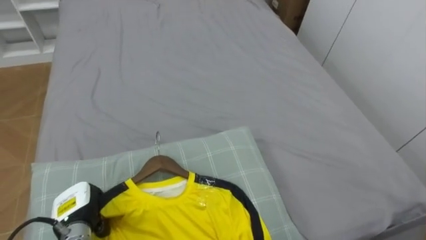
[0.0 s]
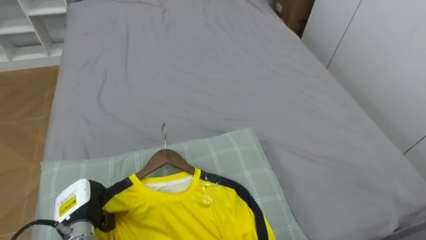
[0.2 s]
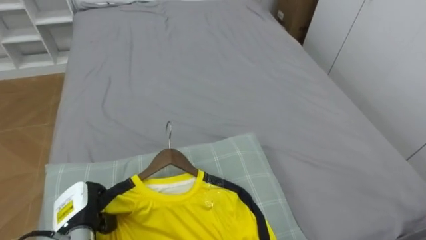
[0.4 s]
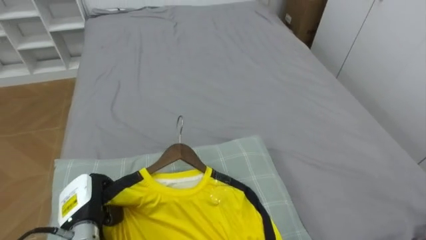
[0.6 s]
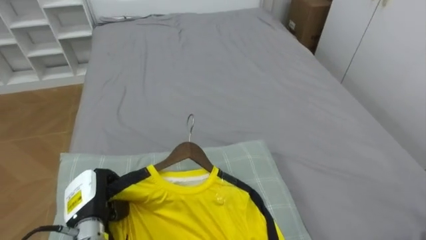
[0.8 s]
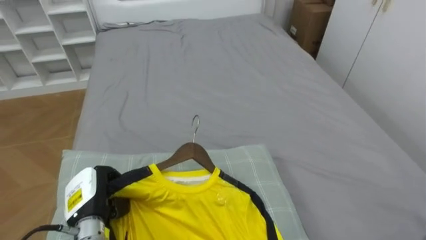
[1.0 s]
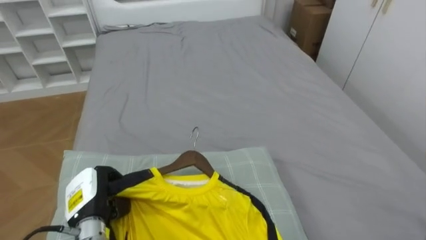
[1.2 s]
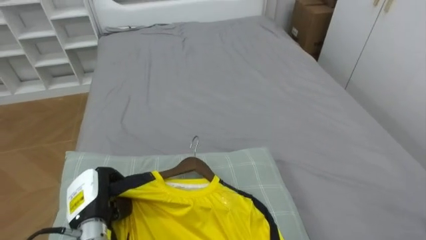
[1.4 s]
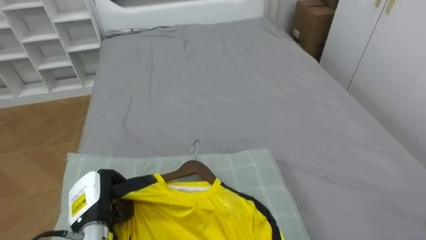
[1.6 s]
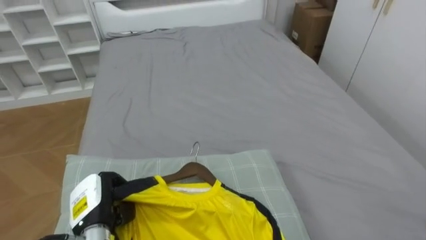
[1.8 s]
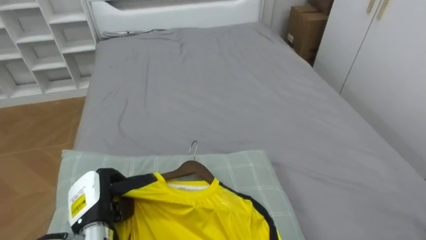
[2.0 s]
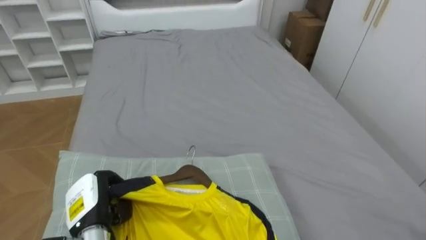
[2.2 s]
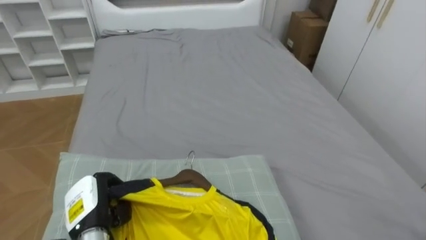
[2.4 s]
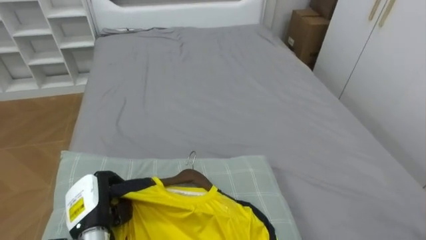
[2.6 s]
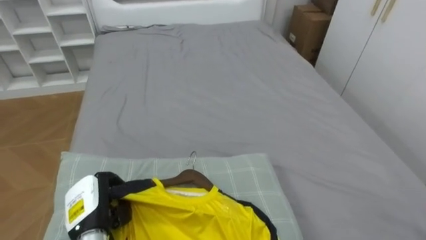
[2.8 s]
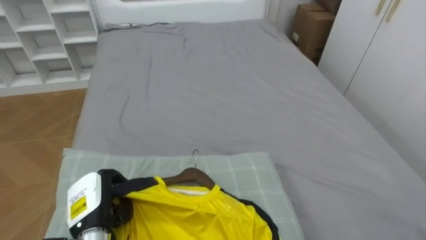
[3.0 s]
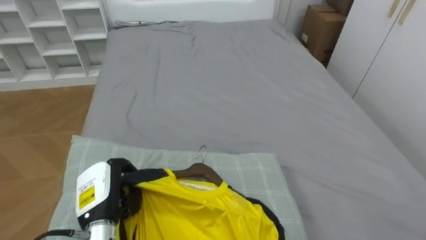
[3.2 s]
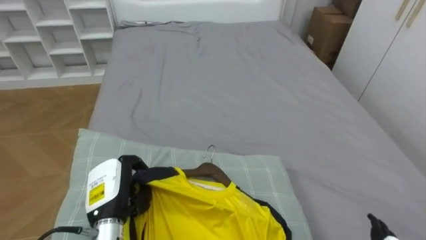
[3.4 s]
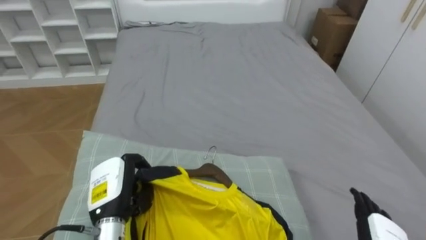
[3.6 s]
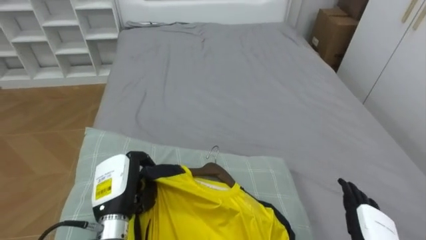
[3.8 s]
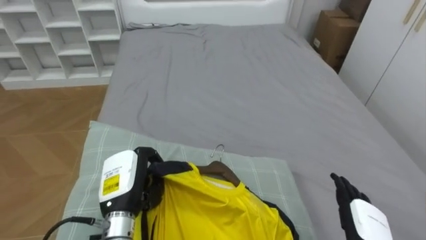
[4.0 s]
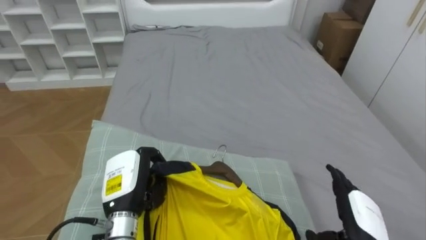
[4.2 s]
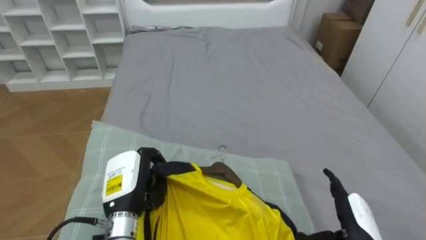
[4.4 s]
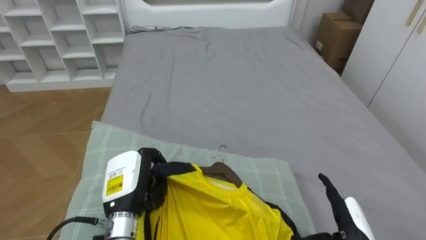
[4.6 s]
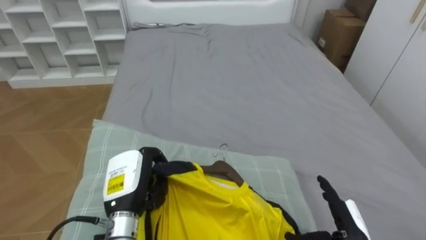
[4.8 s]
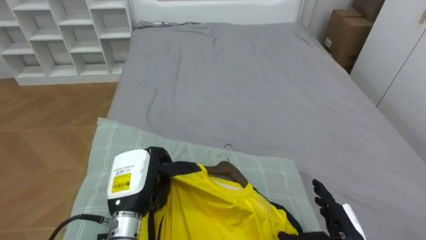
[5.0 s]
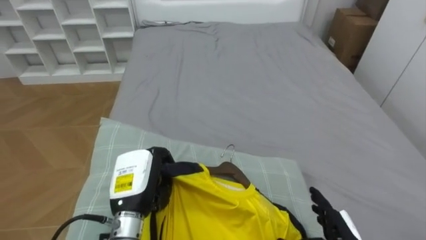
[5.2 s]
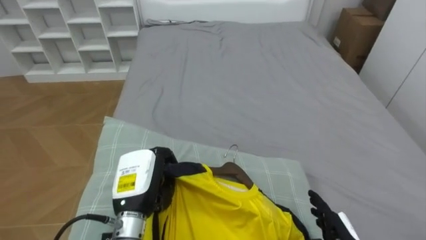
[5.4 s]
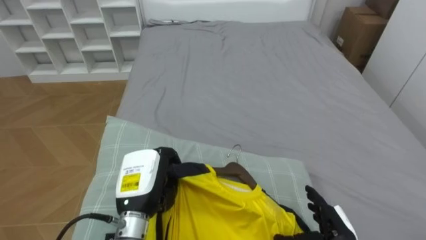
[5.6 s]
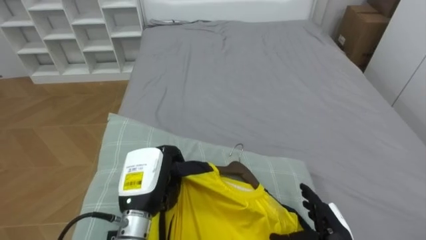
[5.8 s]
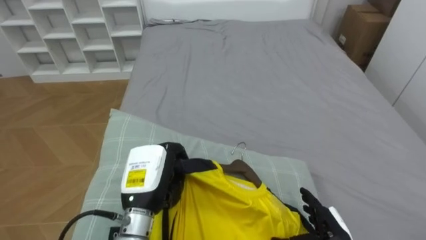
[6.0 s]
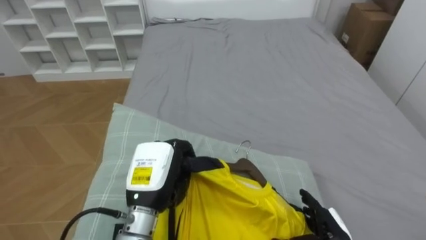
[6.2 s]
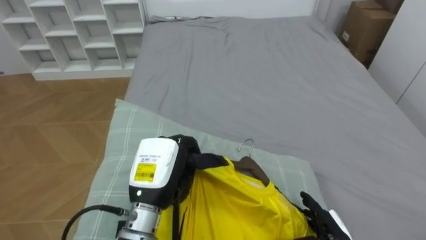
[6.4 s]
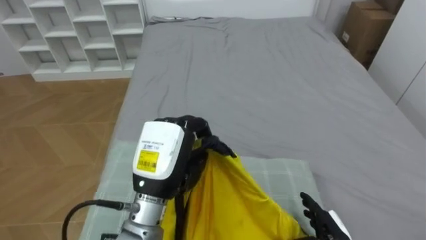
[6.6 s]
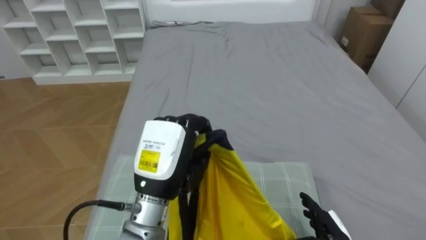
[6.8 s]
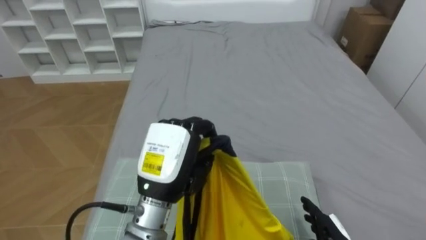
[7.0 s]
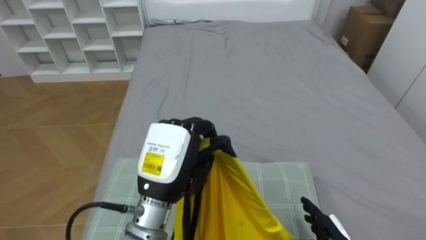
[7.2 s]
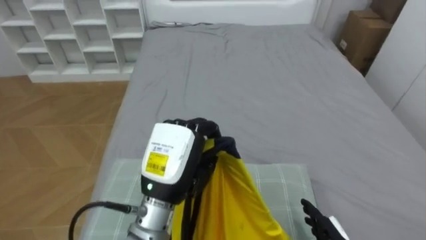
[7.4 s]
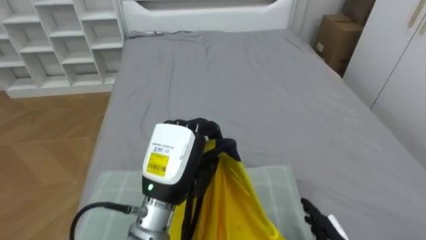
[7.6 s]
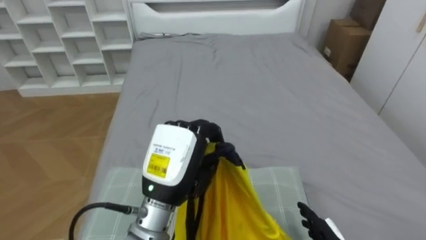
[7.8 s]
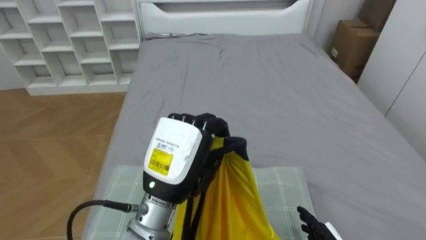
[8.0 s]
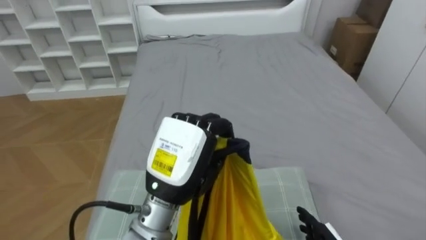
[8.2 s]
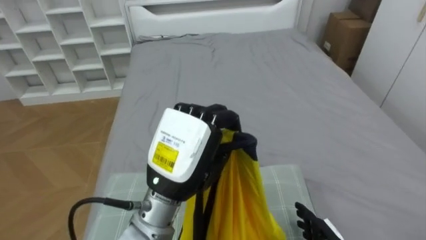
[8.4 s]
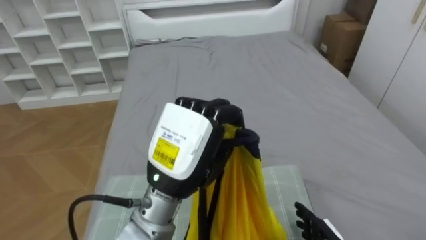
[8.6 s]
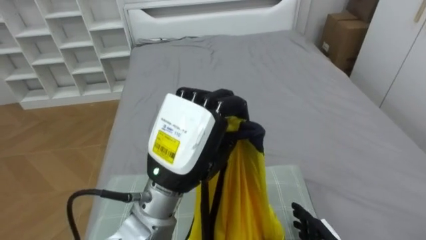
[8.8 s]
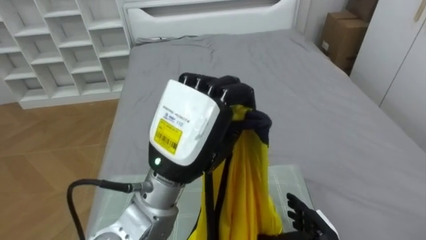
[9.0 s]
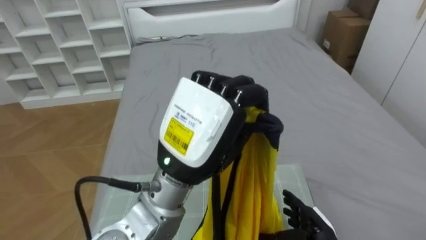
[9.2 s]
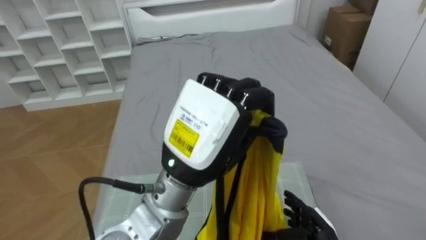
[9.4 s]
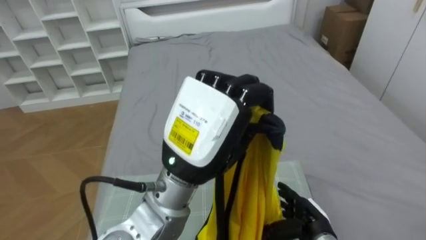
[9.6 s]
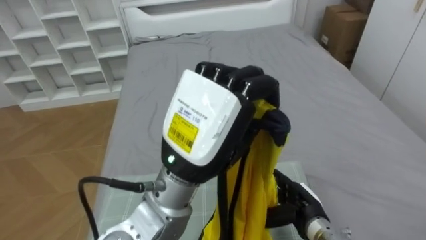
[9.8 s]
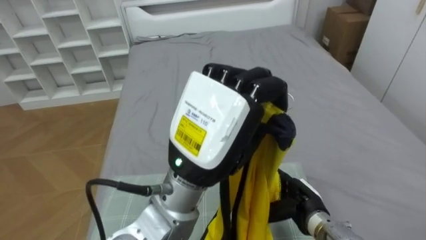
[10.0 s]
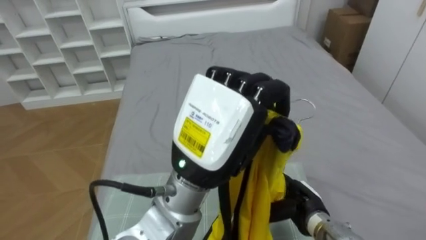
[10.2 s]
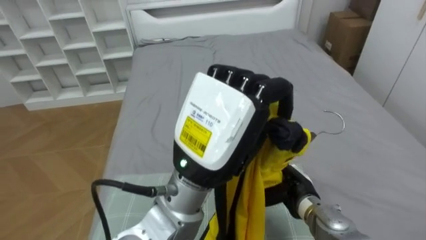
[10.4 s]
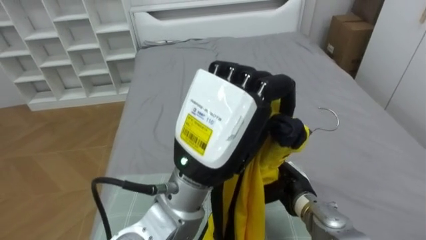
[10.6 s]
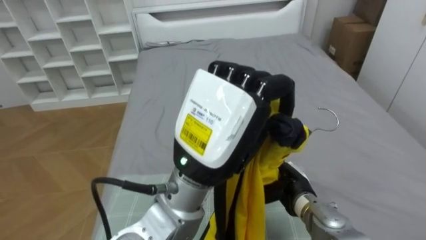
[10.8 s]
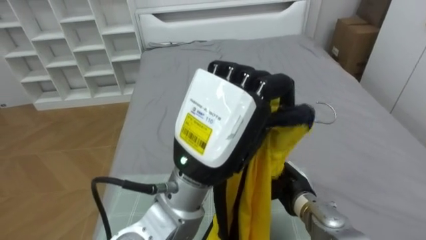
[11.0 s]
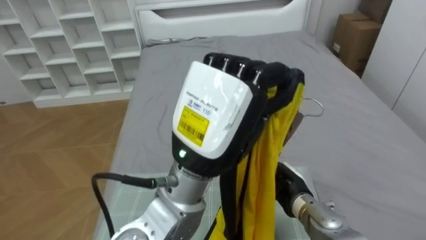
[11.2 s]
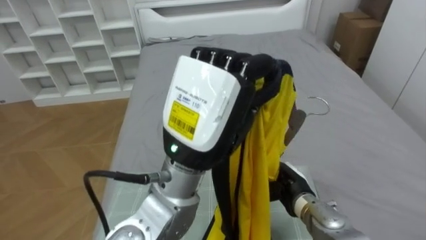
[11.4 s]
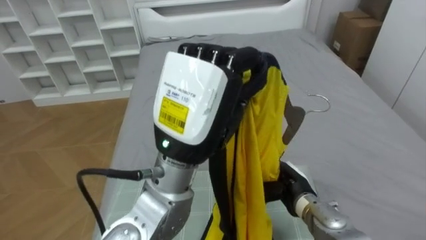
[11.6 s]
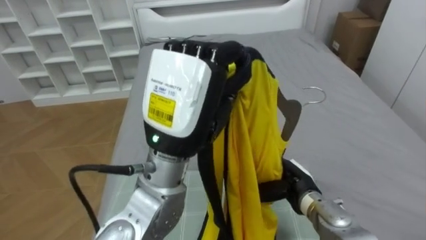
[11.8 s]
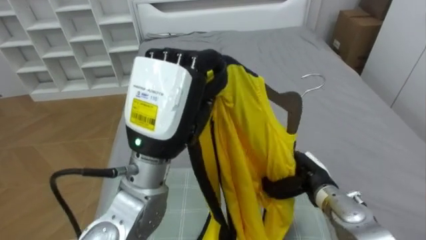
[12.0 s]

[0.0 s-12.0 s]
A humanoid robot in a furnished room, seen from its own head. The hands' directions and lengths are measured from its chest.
Task of the whole recording: Pick up the yellow shirt on the bed and hang it on the clothes rack on the right.
3.0 to 4.4 s: The left hand heads to the right, covering roughly 5 cm.
4.4 to 6.0 s: The right hand moves roughly 5 cm.
6.0 to 7.6 s: The left hand shifts approximately 5 cm upward.
7.6 to 9.0 s: The left hand shifts roughly 10 cm upward.
9.0 to 10.4 s: The right hand heads forward and upward, covering about 10 cm.
10.4 to 12.0 s: The right hand closes its fingers. The left hand travels to the left by some 5 cm.

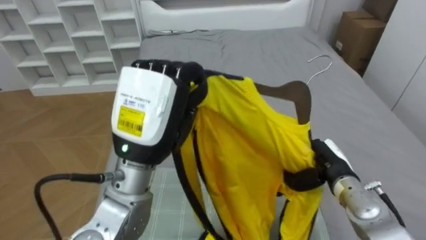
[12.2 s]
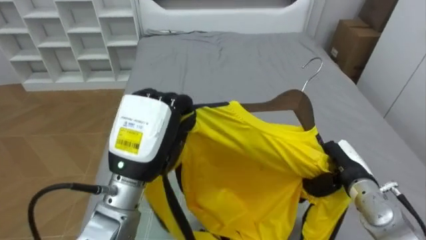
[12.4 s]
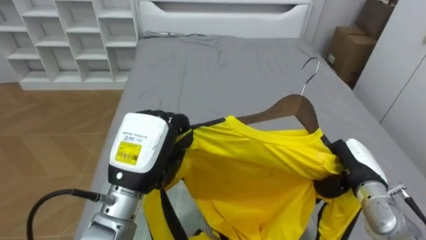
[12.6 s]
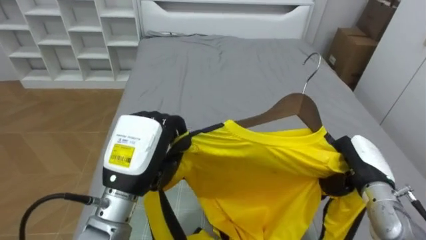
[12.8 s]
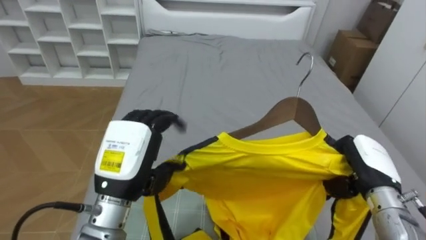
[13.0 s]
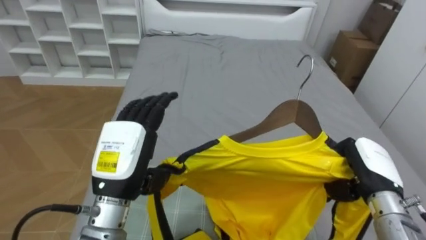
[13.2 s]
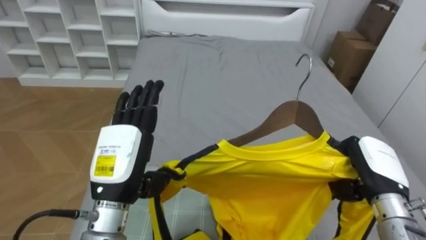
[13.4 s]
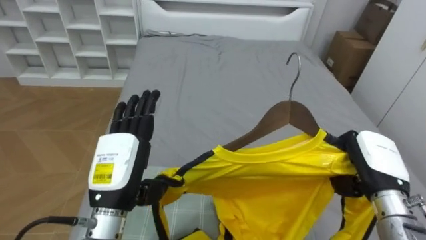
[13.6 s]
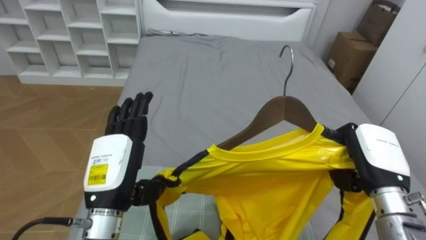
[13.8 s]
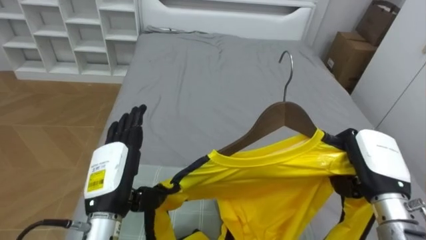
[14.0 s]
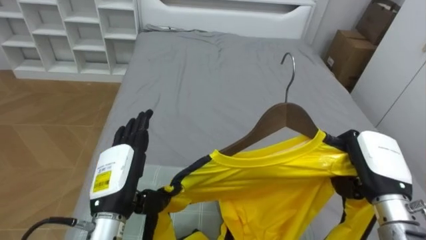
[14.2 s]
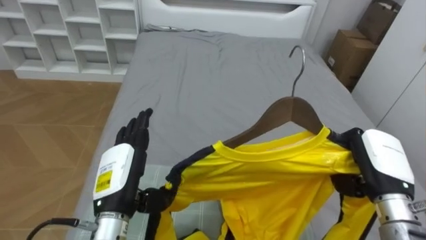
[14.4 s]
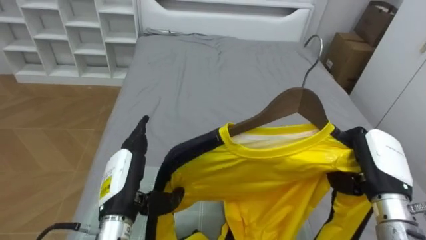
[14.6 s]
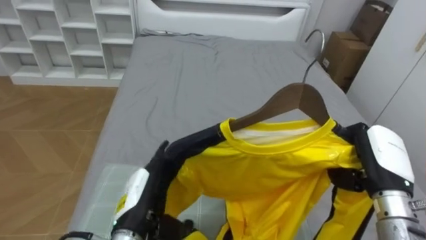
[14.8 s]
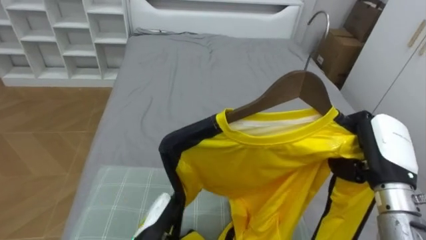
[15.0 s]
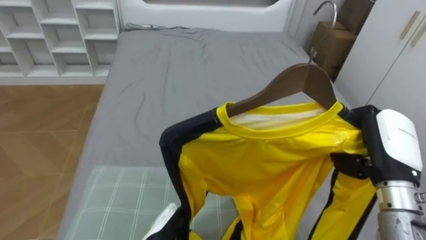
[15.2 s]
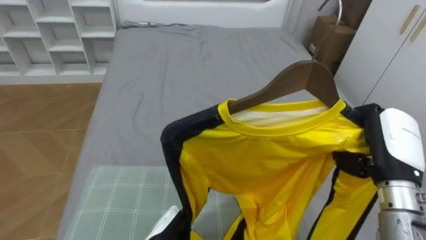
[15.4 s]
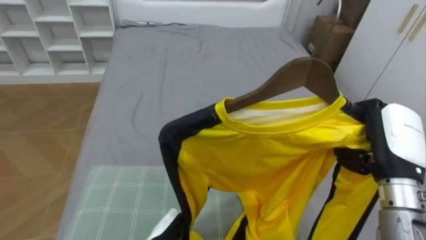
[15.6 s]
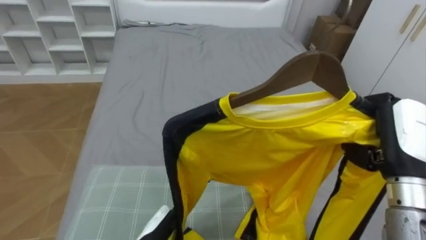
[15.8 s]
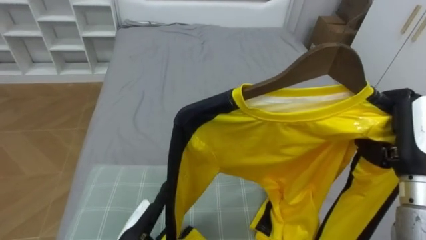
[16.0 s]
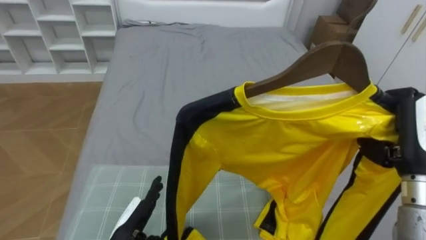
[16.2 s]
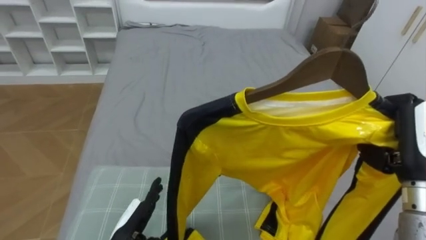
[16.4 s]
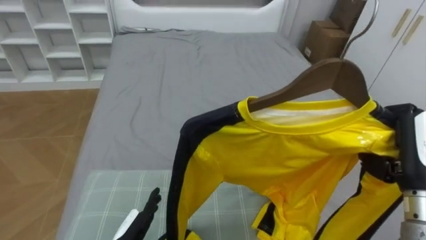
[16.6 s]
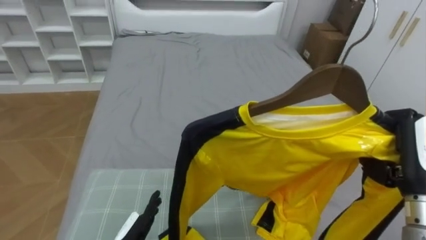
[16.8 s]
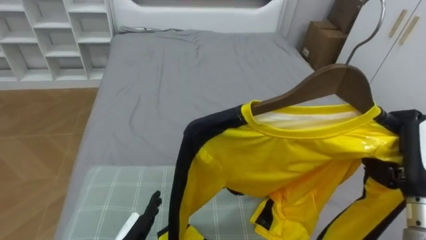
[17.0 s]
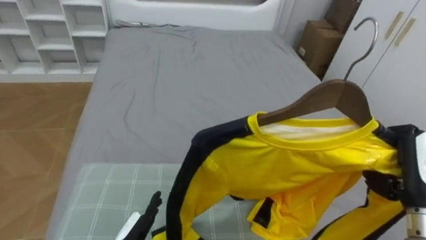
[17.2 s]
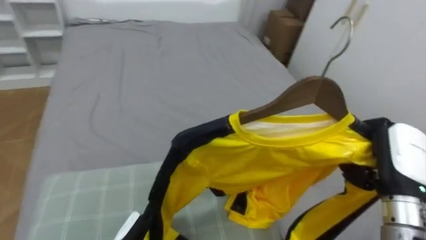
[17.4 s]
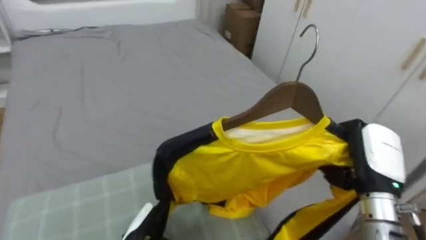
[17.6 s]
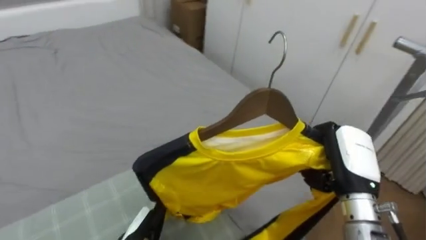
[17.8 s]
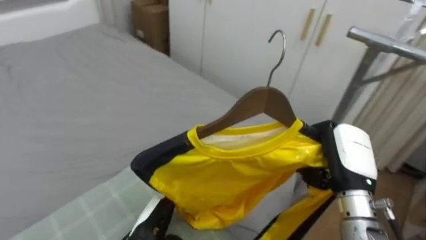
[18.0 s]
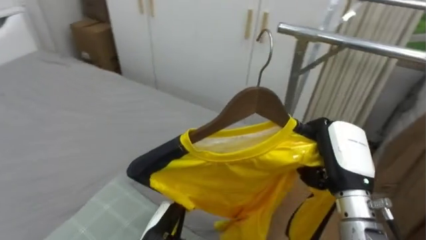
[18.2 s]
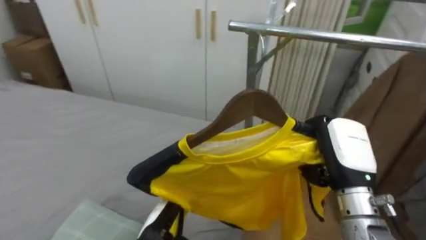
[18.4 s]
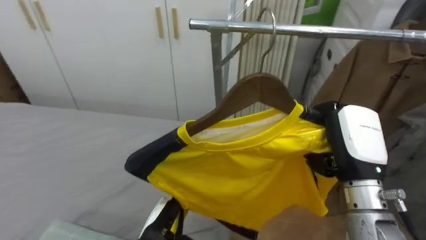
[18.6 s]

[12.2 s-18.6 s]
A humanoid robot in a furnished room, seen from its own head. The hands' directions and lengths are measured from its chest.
Task of the whole recording: Pick up the yellow shirt on the bed and hang it on the clothes rack on the right.
12.2 to 13.8 s: The left hand travels downward and to the left by approximately 15 cm, and opens its fingers; the right hand travels upward by approximately 10 cm.
13.8 to 15.4 s: The left hand is displaced downward and to the right by some 15 cm.
17.0 to 18.6 s: The robot's body swings some 70 degrees to its right. The right hand heads to the left, covering approximately 10 cm.
